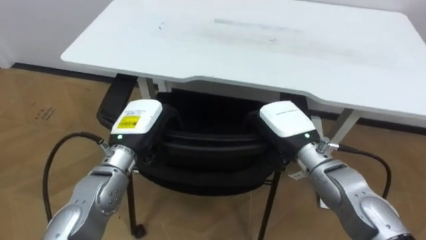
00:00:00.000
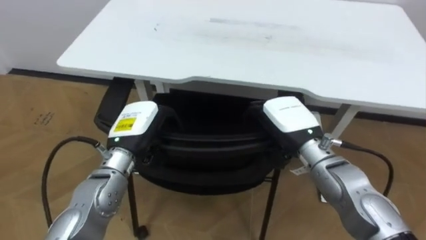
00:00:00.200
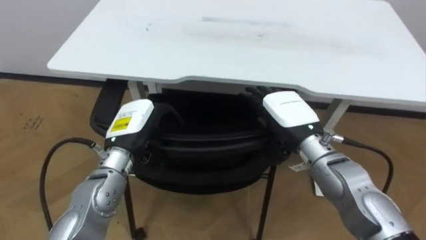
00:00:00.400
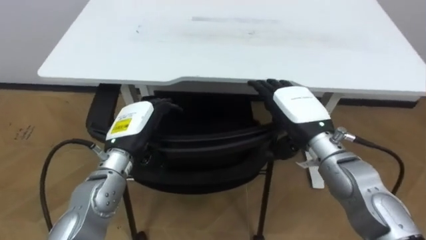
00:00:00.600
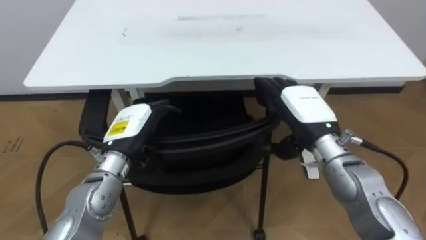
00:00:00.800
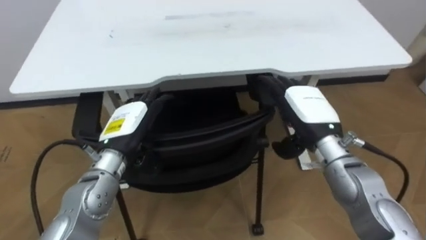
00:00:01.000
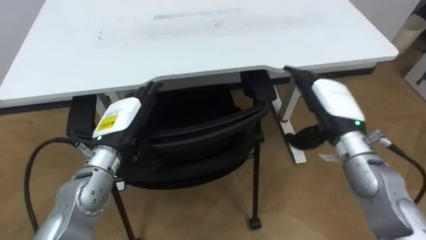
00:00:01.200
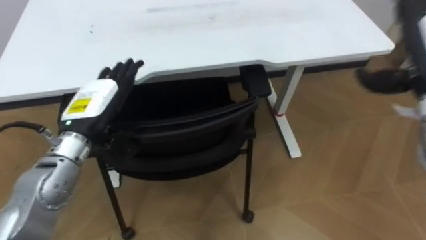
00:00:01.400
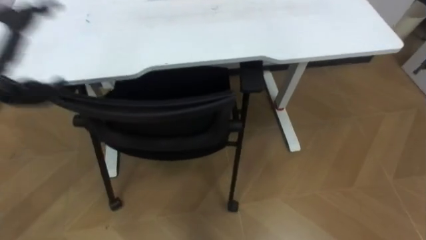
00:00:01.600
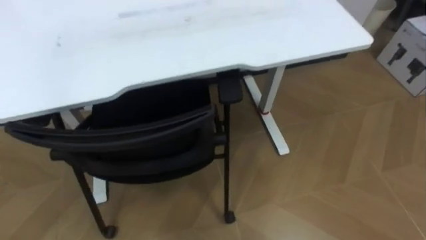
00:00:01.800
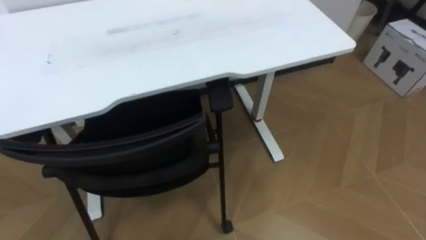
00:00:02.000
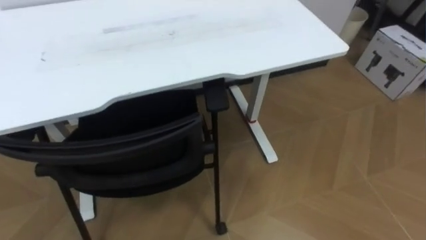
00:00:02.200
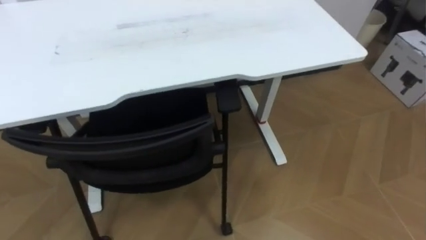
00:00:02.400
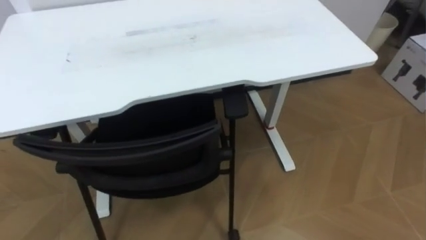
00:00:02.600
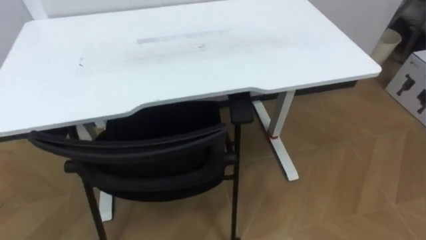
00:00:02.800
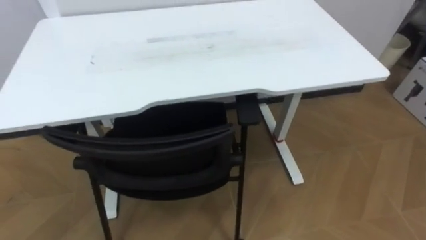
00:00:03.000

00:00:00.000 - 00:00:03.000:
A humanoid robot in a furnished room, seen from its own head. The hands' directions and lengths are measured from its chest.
Task of the whole recording: Push the chair under the table.
00:00:00.000 - 00:00:01.600: The robot turns to its right by about 15 degrees.

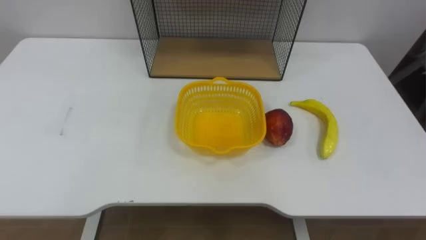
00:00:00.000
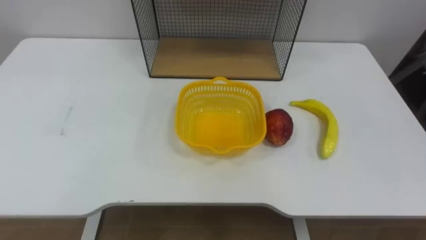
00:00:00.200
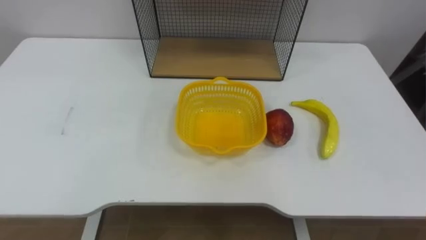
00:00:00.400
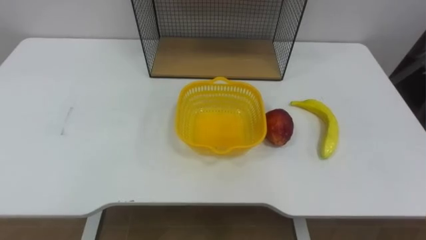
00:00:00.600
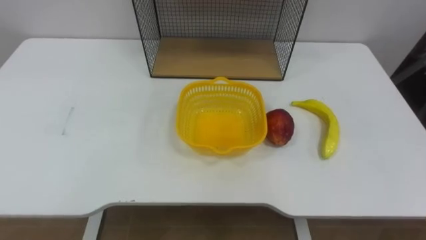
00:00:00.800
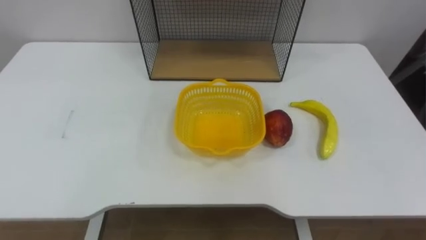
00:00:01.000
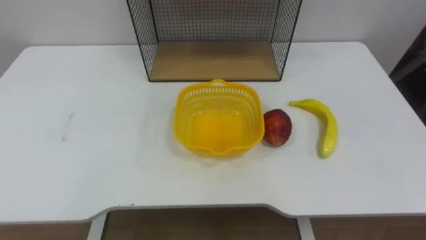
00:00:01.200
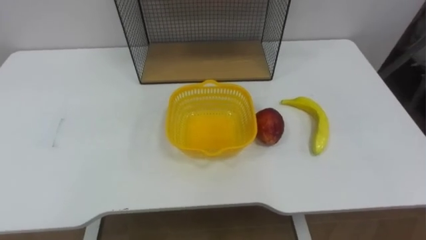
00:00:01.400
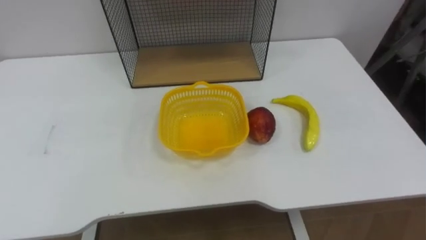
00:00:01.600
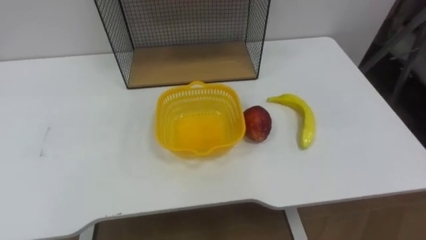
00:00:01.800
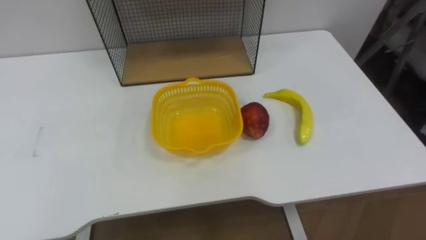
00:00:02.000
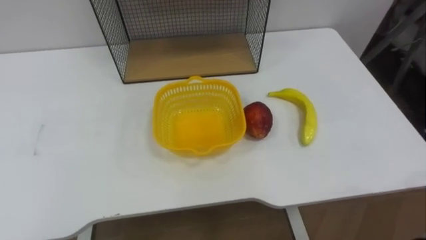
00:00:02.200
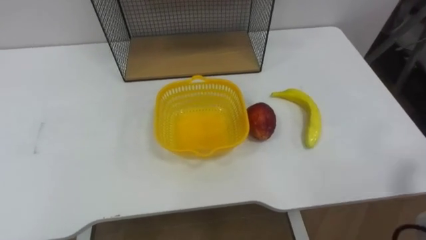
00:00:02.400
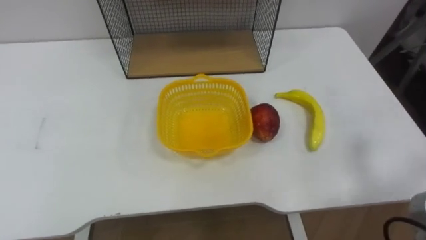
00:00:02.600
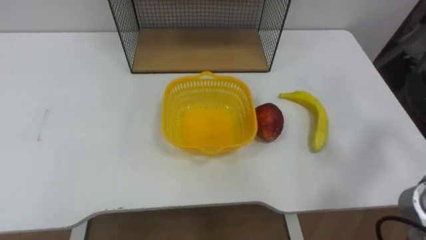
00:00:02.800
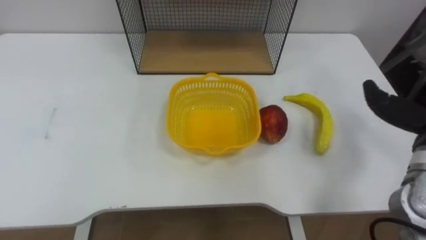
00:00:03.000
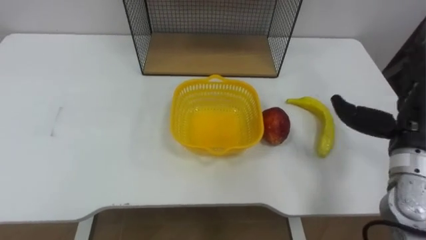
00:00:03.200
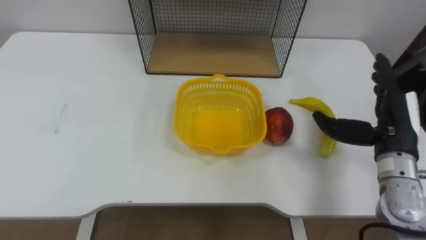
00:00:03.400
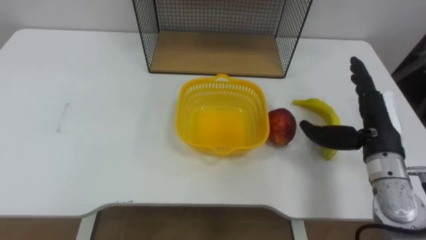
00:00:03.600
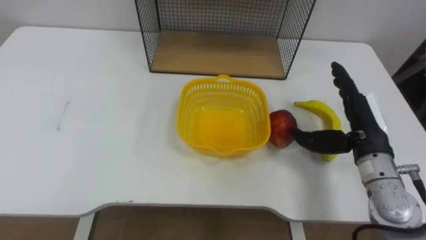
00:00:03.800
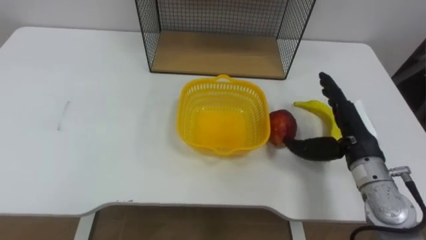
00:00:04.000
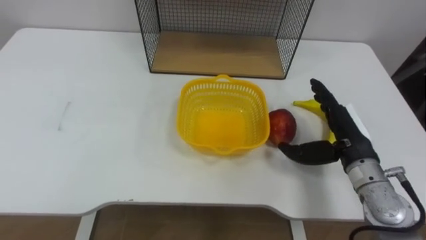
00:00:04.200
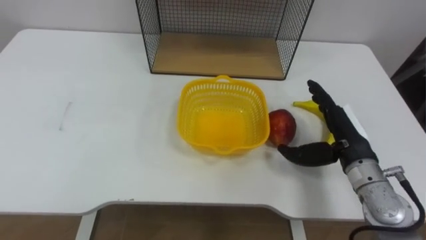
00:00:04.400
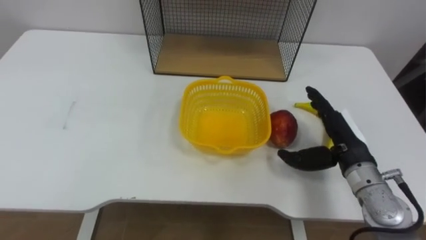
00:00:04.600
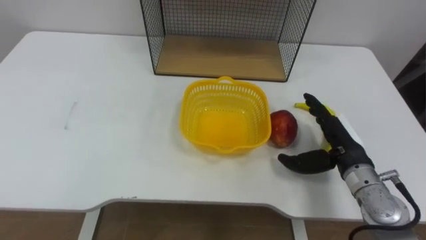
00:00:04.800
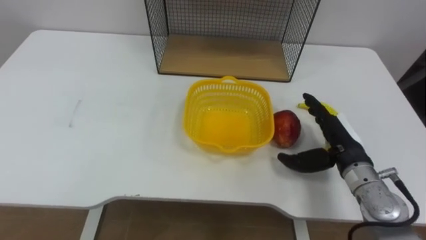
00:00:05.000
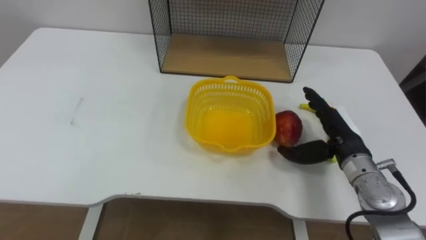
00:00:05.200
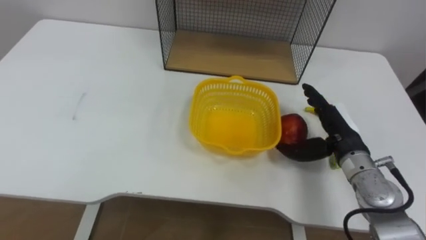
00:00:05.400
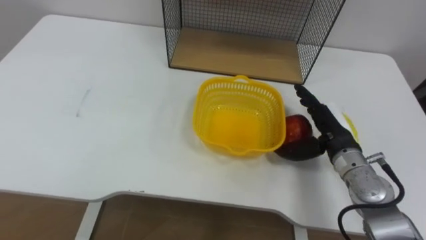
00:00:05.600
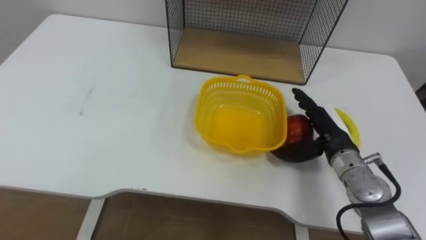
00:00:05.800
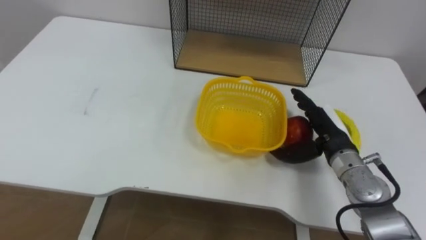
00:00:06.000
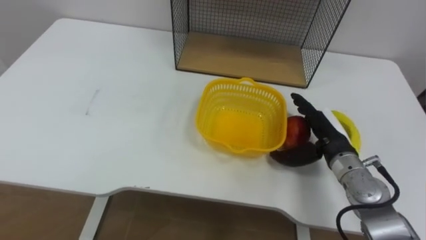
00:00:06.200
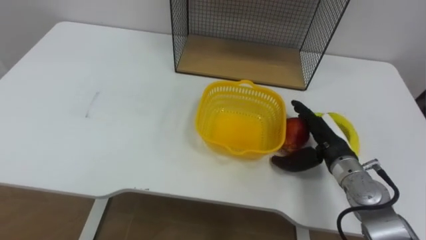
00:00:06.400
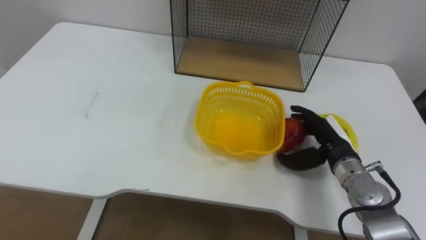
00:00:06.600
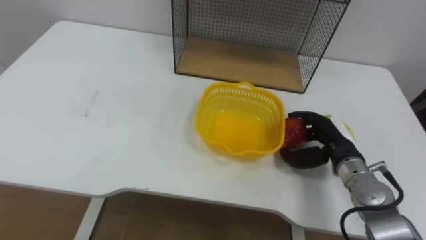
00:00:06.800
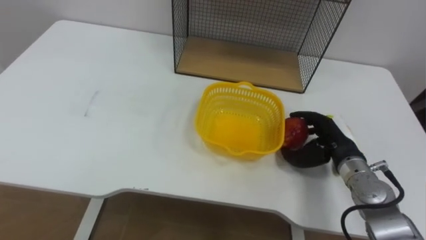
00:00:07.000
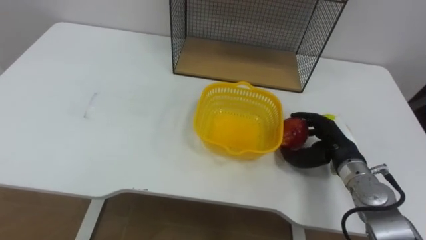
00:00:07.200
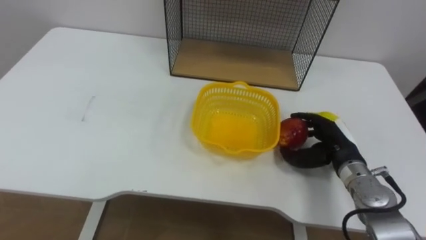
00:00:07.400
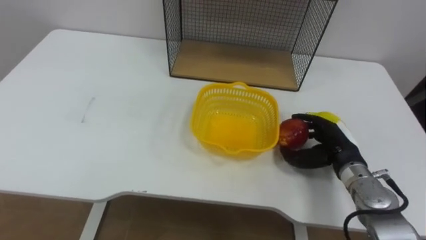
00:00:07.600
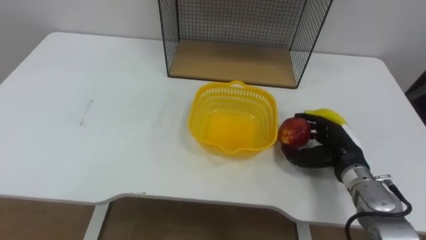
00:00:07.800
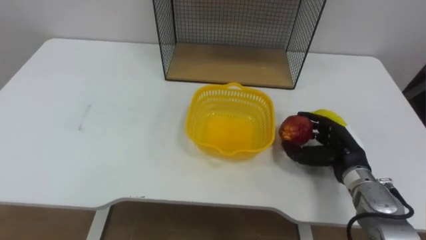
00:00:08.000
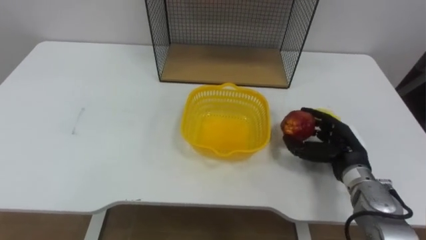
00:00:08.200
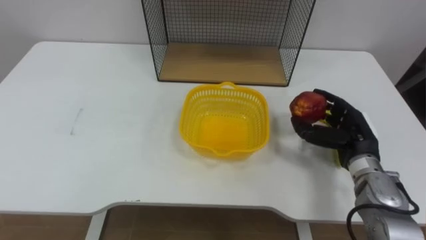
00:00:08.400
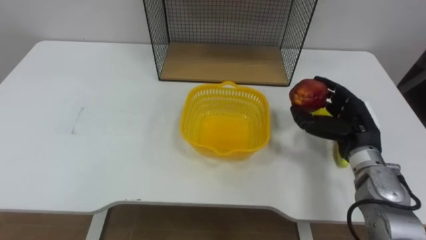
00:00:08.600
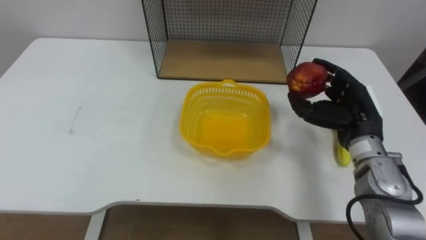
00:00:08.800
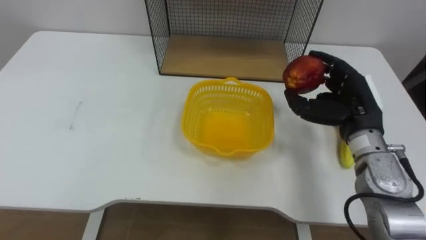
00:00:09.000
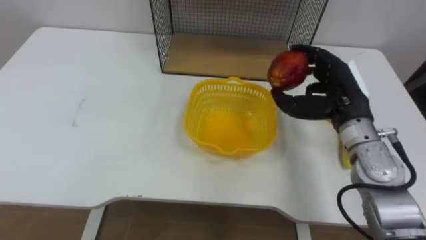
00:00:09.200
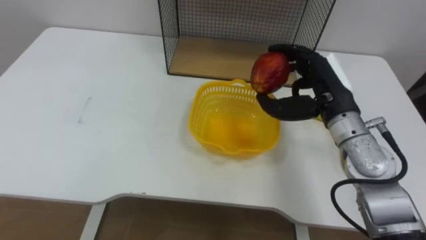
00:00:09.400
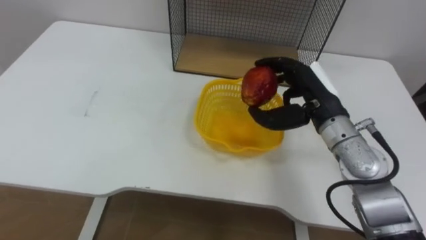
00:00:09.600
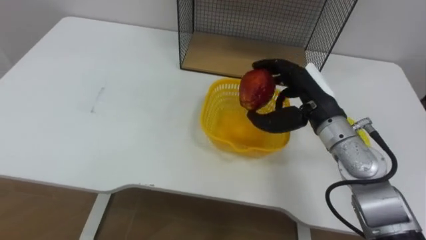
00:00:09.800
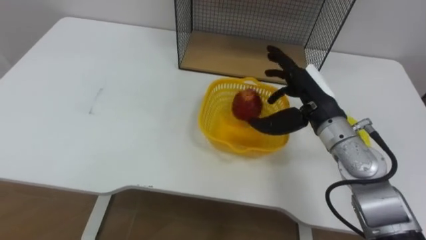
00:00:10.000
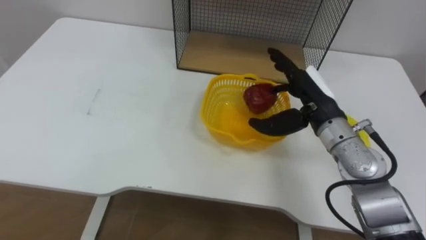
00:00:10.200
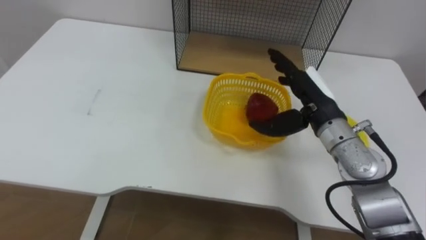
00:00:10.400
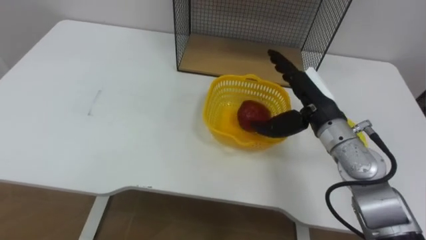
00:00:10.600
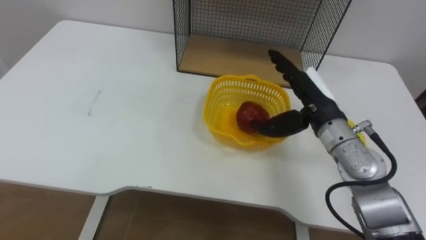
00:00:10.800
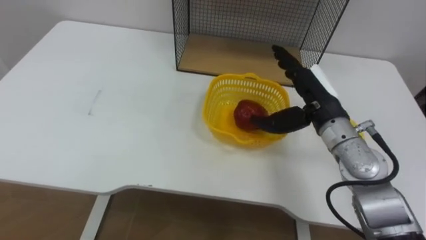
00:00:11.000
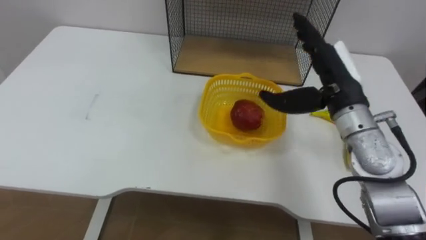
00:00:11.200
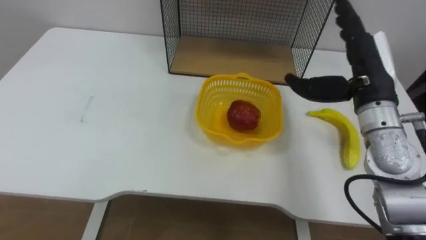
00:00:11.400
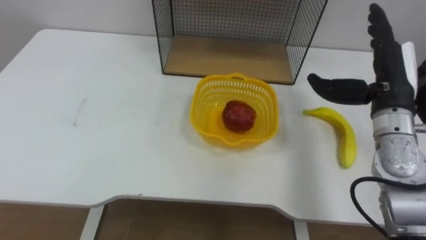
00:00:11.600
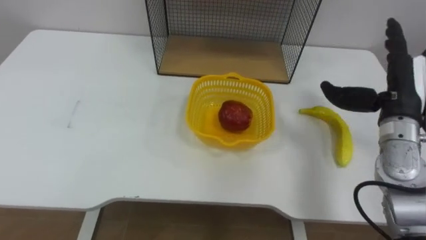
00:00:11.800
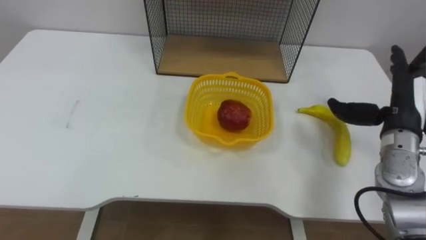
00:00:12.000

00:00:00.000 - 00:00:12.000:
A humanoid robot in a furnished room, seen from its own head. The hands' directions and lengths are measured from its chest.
Task of the whole recording: Put the fruit on the table into the basket, then place the basket on the shelf.
00:00:06.000 - 00:00:07.600: The right hand closes up.
00:00:07.600 - 00:00:09.000: The right hand heads upward, covering about 10 cm.
00:00:09.000 - 00:00:10.400: The right hand moves to the left, some 5 cm, and opens.
00:00:10.400 - 00:00:12.000: The right hand shifts approximately 15 cm to the right.

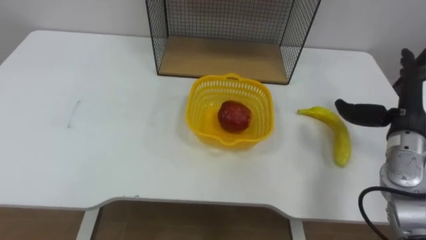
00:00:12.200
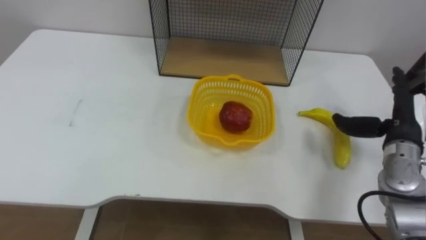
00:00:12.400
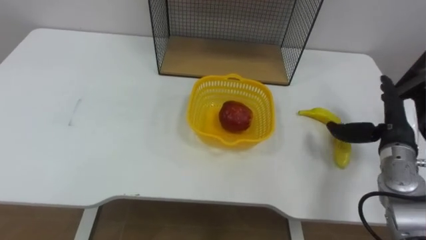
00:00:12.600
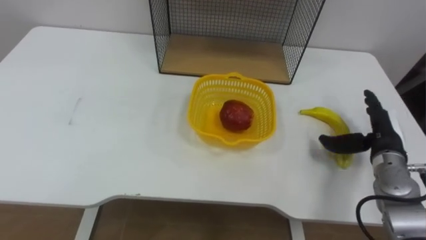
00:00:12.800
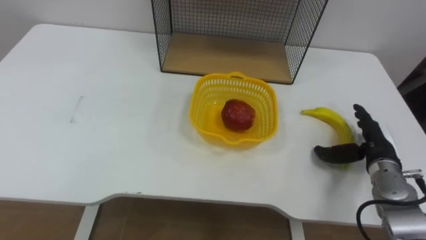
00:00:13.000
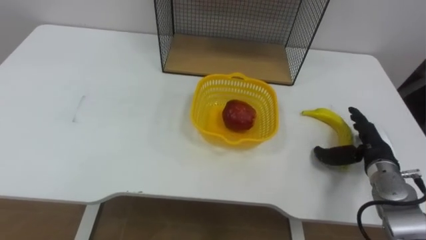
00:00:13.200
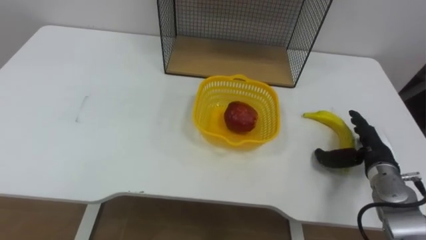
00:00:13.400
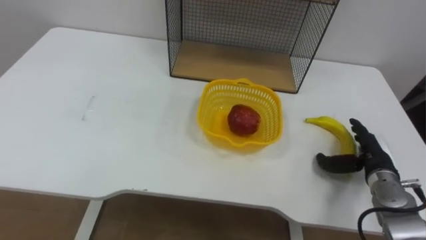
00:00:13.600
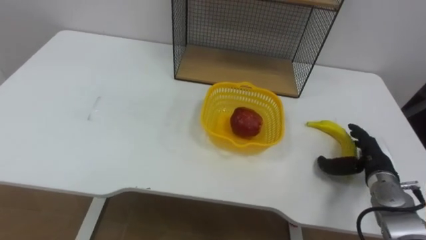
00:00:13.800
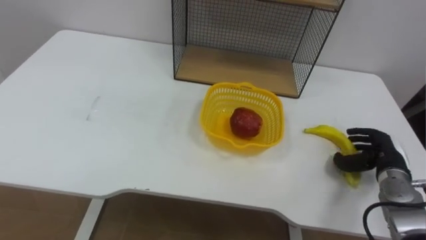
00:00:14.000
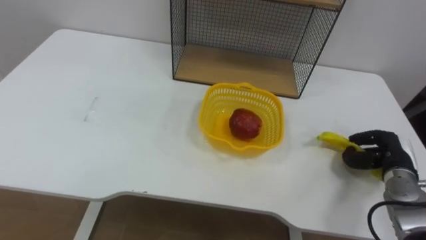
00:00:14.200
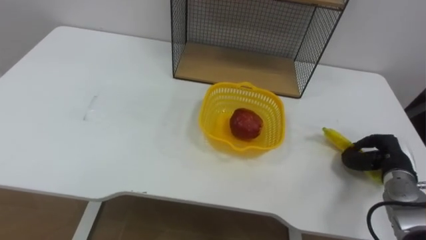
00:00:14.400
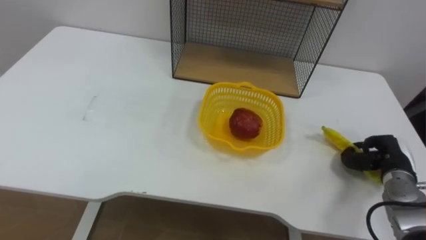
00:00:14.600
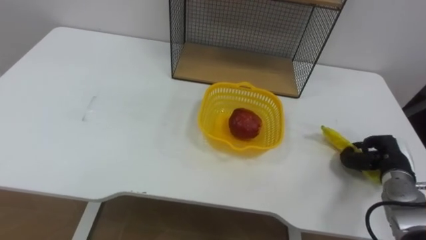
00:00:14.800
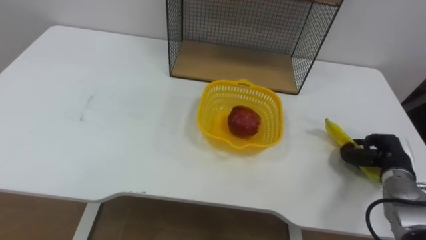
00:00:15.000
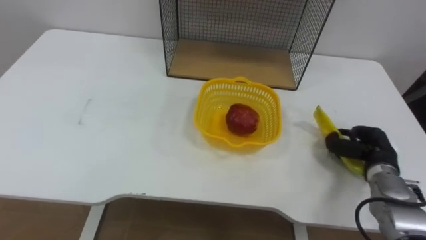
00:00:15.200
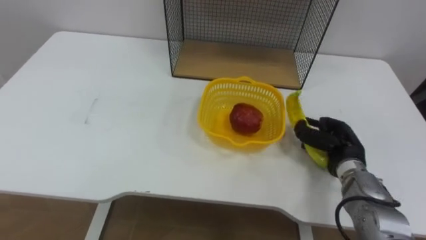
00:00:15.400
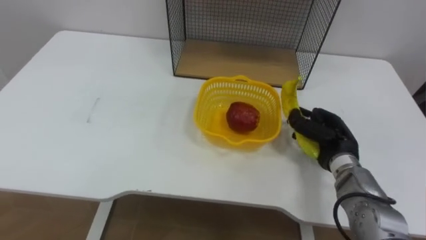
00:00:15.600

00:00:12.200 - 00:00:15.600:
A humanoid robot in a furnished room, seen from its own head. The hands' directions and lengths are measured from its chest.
Task of the whole recording: Put the fruit on the table into the basket, then place the basket on the shelf.
00:00:12.200 - 00:00:13.800: The right hand is displaced downward by approximately 15 cm.
00:00:13.800 - 00:00:15.600: The right hand shifts some 10 cm to the left, and closes.
